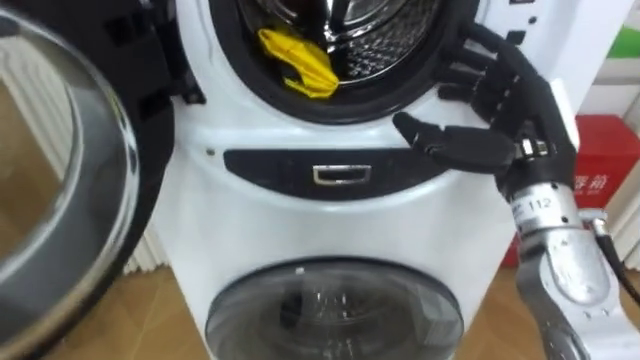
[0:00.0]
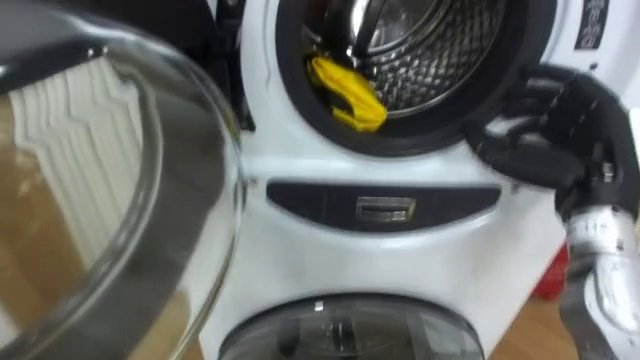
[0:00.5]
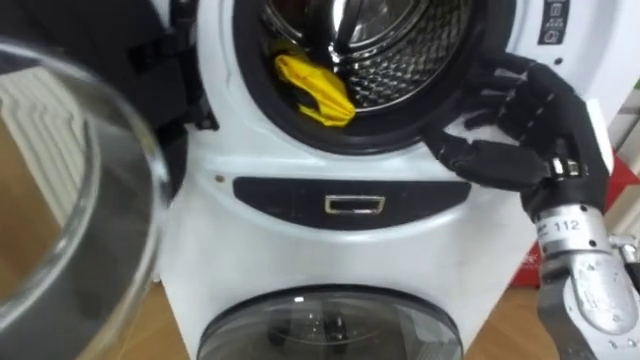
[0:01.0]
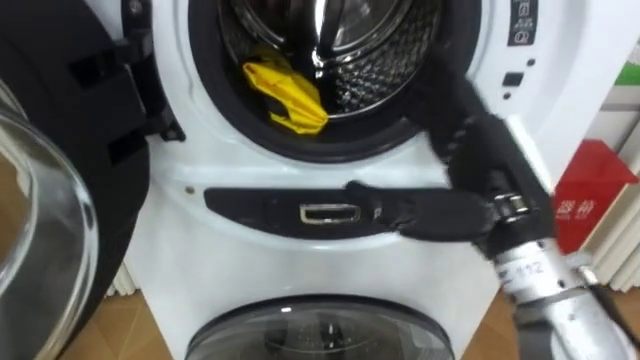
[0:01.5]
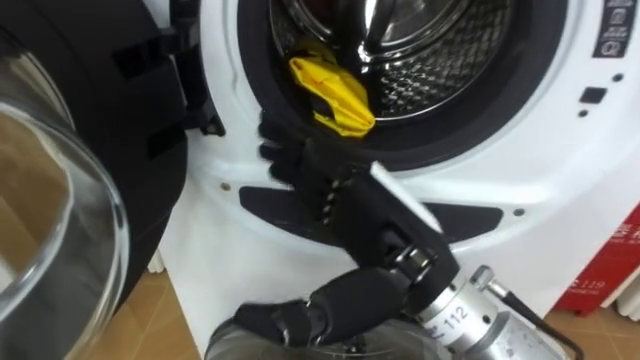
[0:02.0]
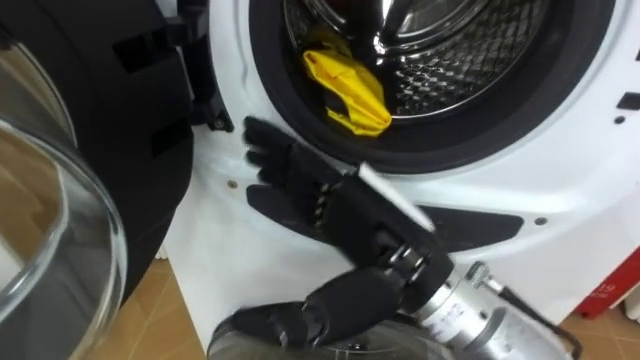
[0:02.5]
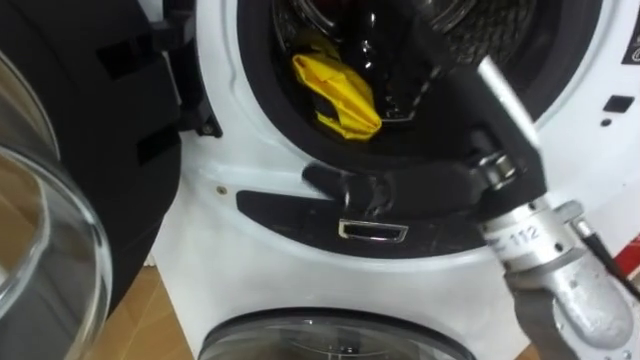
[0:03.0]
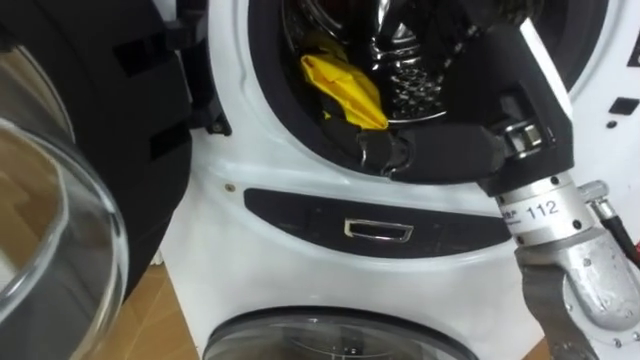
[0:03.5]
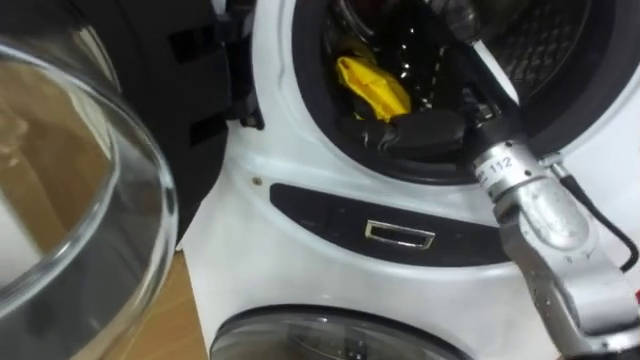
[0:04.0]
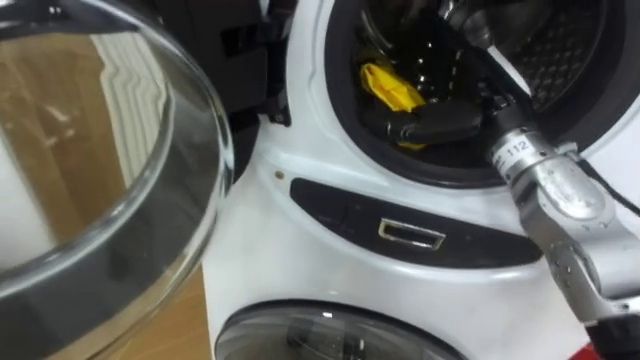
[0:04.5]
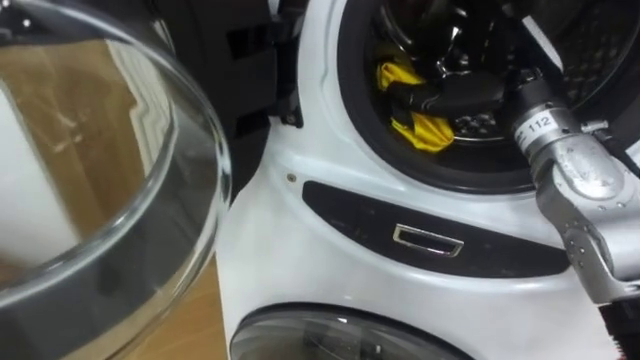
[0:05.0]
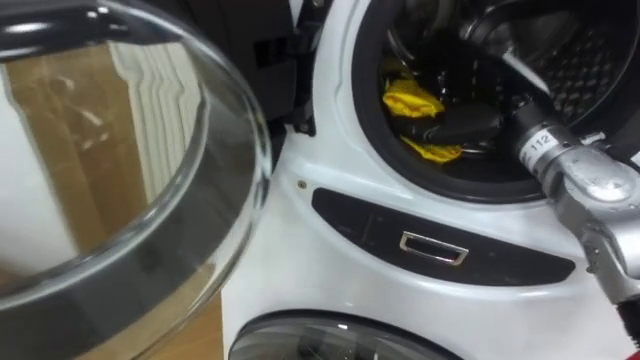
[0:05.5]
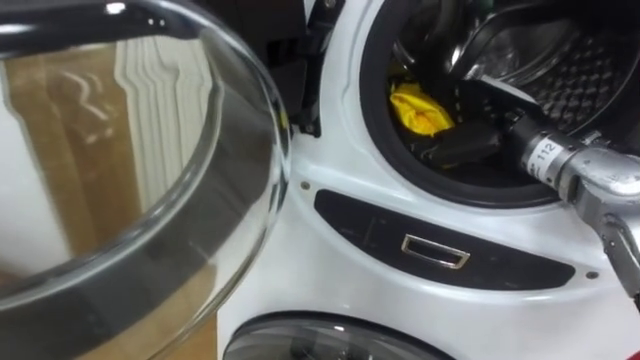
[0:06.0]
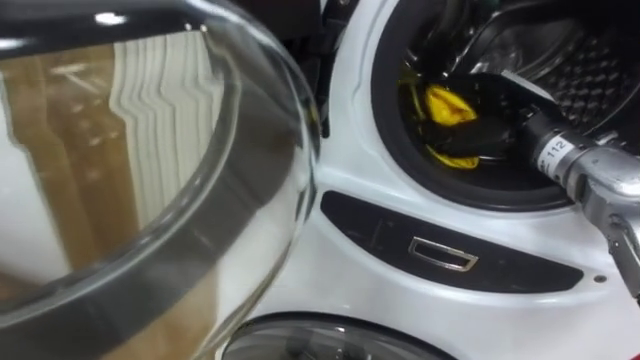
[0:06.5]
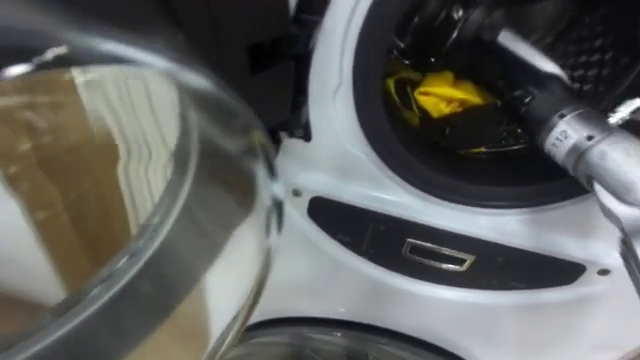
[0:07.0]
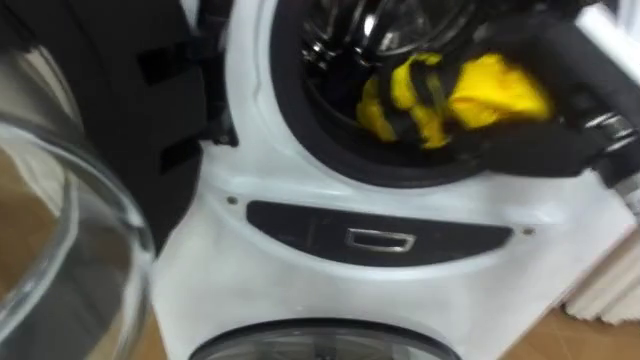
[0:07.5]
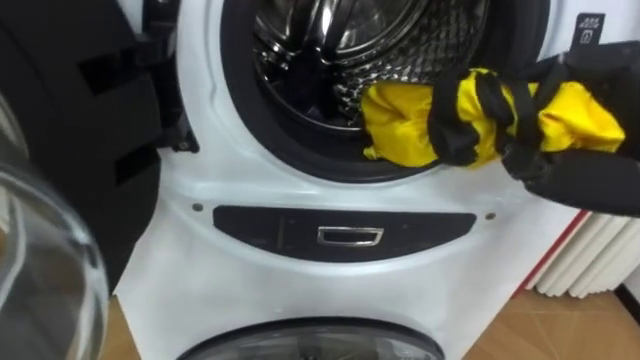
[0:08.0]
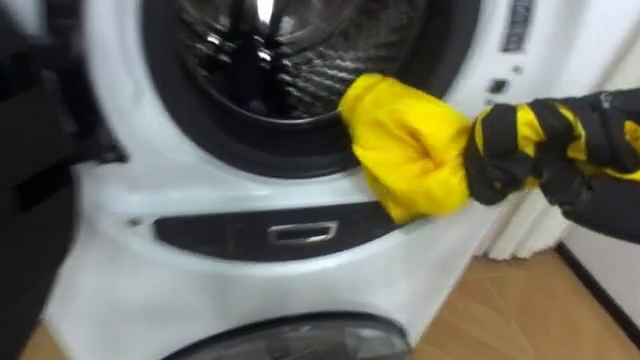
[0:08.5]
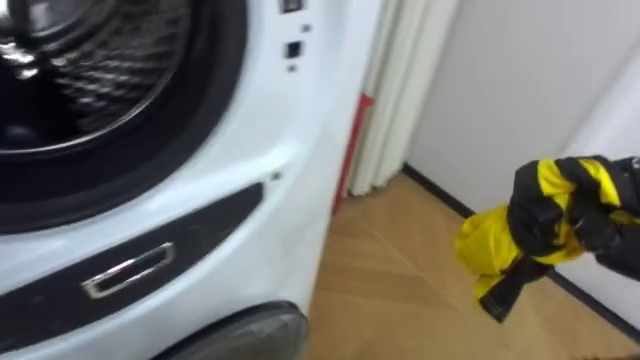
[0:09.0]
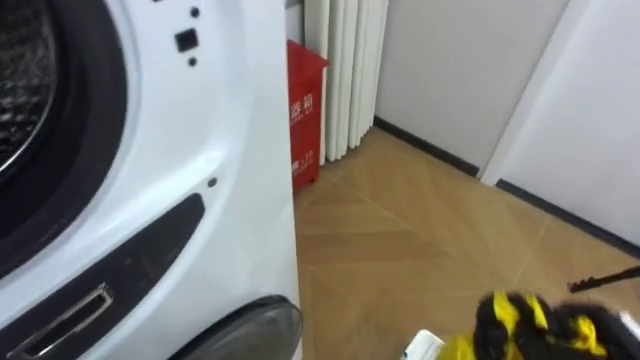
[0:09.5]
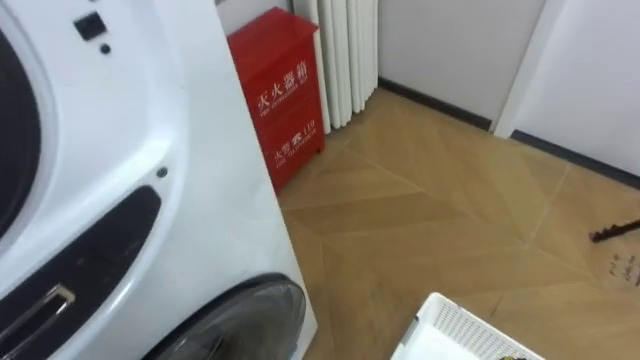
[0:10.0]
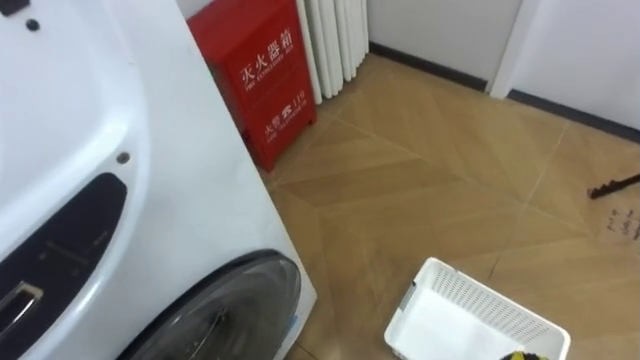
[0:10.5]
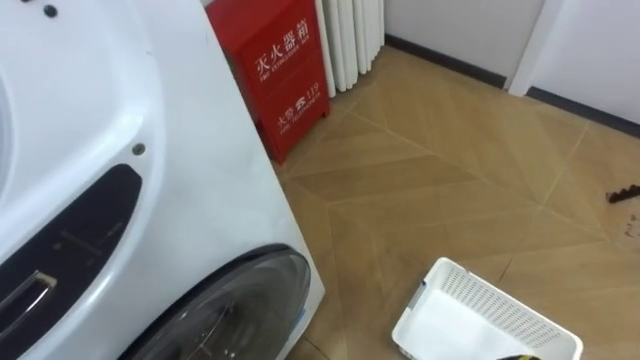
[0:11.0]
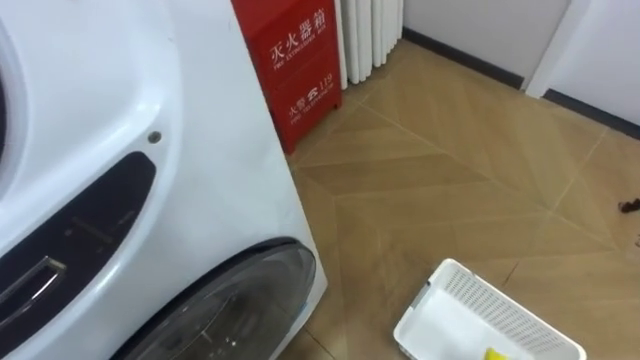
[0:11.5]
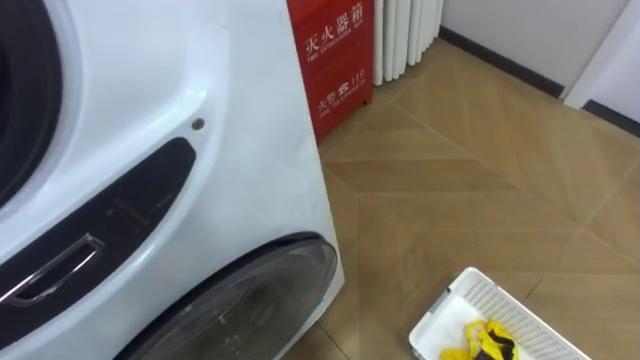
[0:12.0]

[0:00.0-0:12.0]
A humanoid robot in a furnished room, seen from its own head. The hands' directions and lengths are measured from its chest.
Task of the whole recording: Open the washing machine door, take out the yellow clothes, place them in the box on the right, and close the washing machine door.
0:00.0 to 0:02.0: The right hand travels to the left and backward by about 15 cm.
0:02.0 to 0:04.0: The right hand moves forward and to the right, approximately 15 cm.
0:04.0 to 0:06.0: The right hand moves downward, some 5 cm.
0:08.0 to 0:10.0: The robot rotates about 35 degrees to its right.

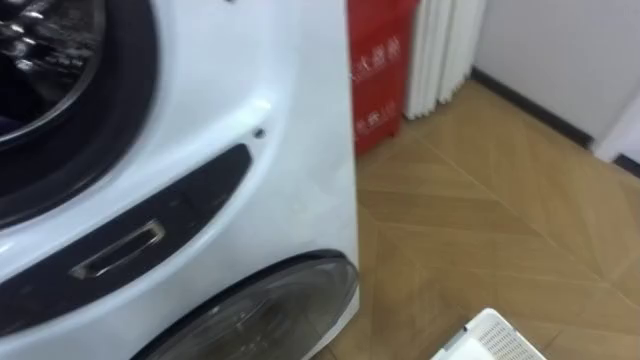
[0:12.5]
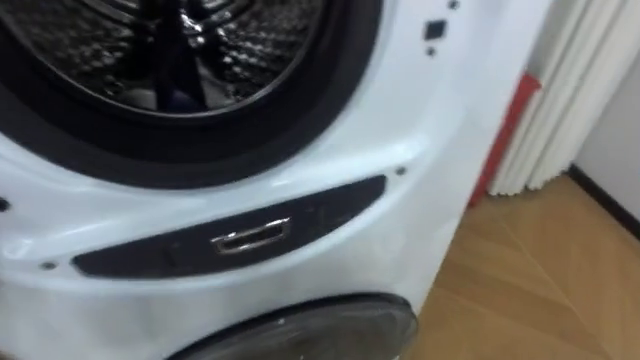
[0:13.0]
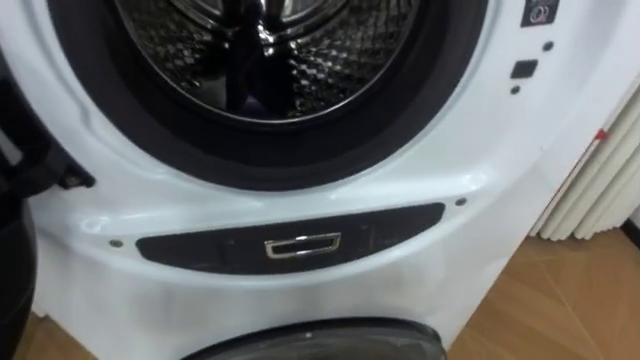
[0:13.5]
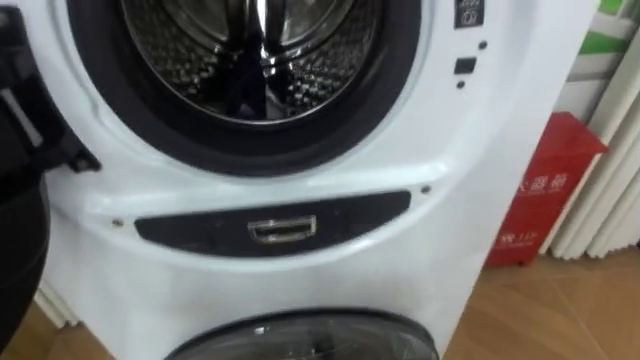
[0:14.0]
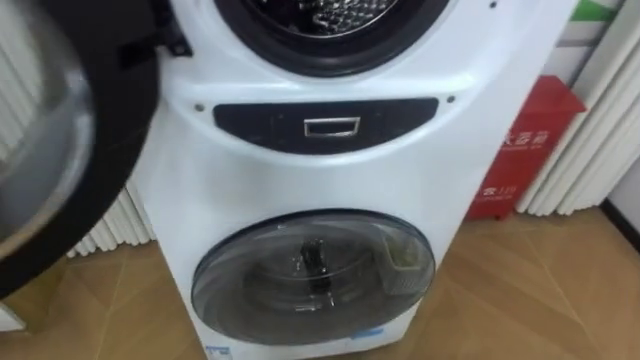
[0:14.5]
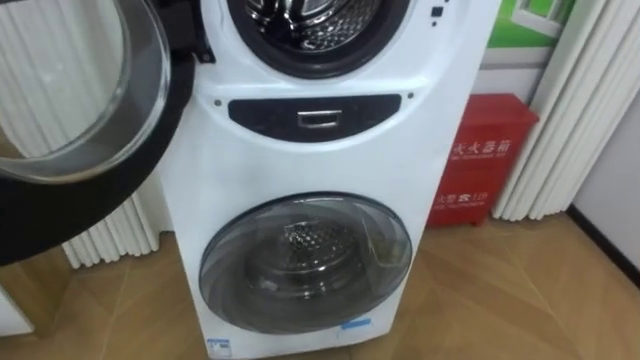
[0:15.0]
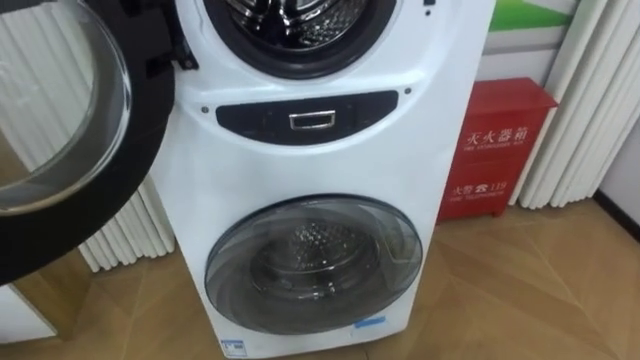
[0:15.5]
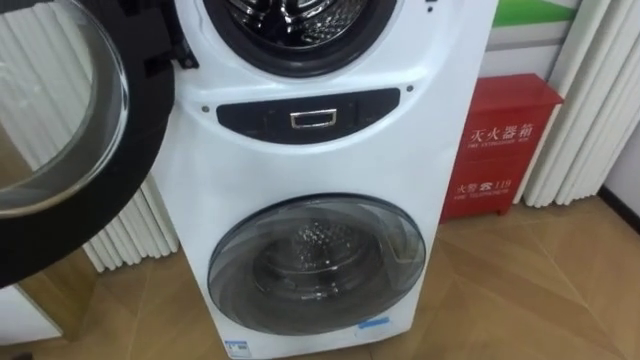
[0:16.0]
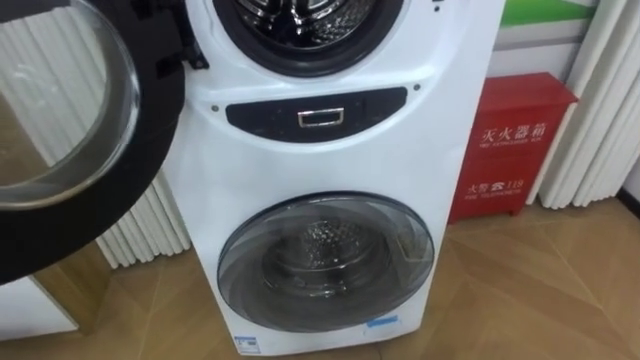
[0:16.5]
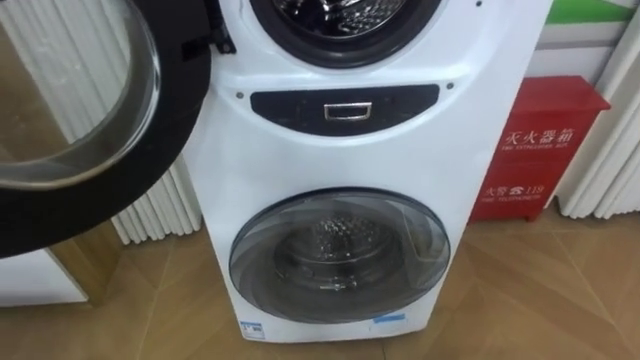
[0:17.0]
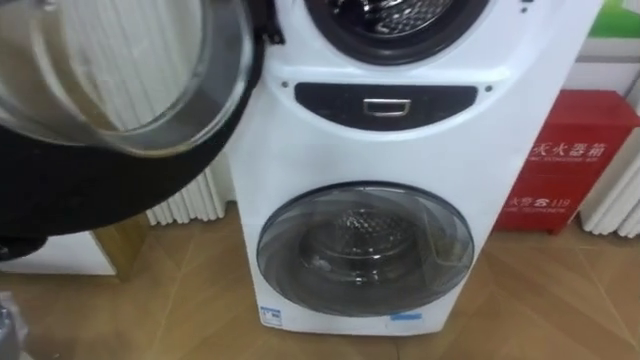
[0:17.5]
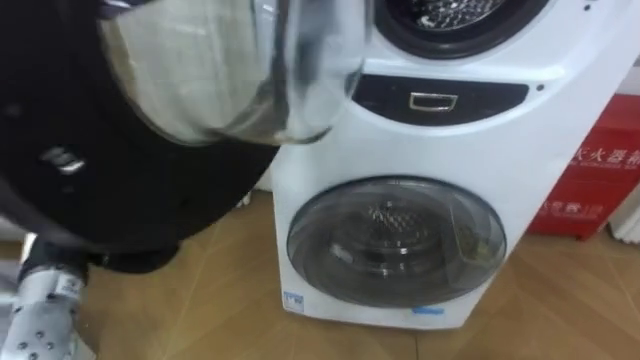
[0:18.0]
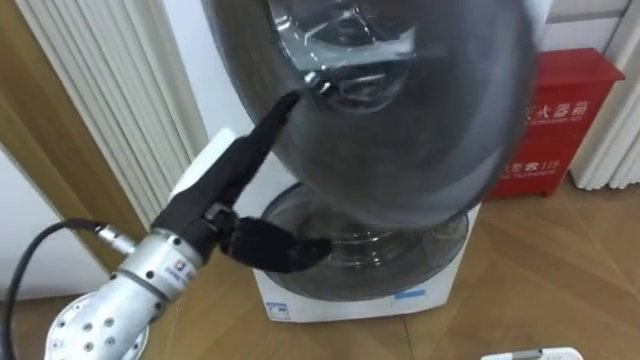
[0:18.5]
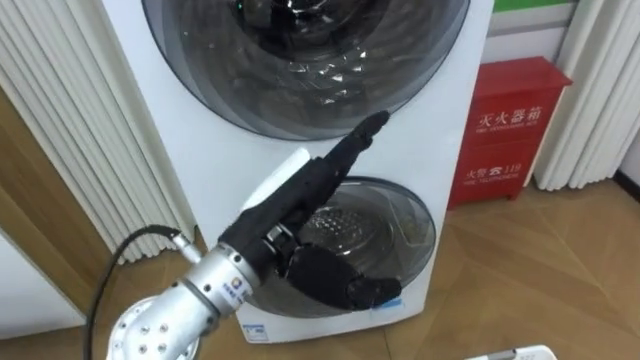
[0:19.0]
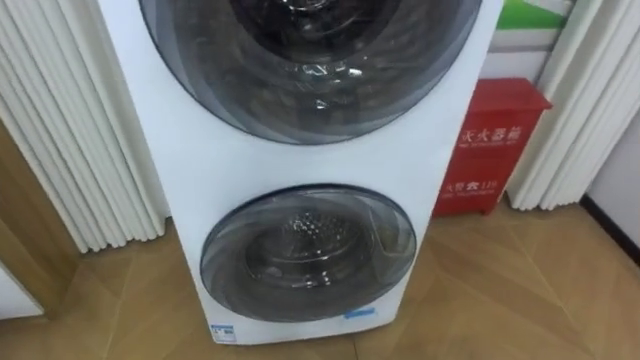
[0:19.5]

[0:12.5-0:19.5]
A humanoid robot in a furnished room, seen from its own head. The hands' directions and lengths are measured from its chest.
Task of the whole recording: Open the washing machine door, take out the yellow clothes, place them in the box on the right, and close the washing machine door.
0:12.5 to 0:14.5: The robot's body swings approximately 20 degrees to its left.

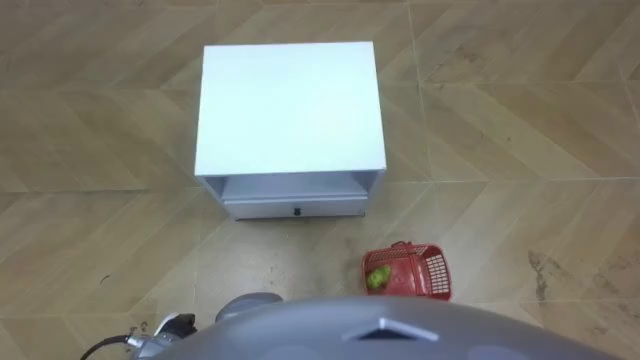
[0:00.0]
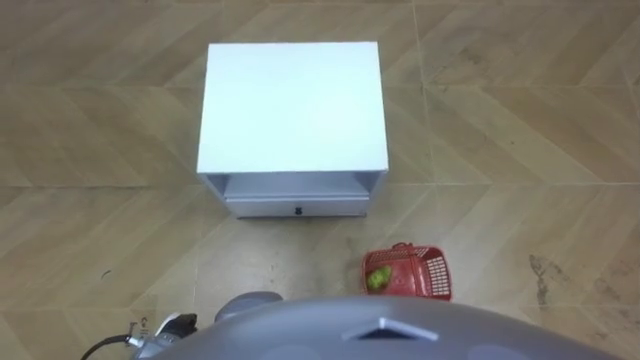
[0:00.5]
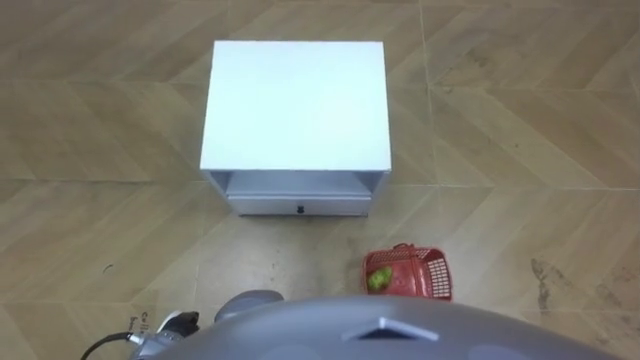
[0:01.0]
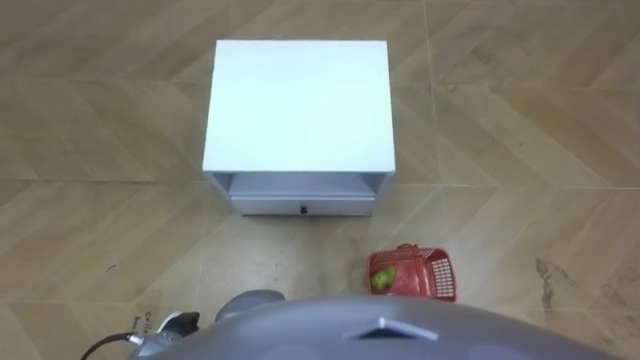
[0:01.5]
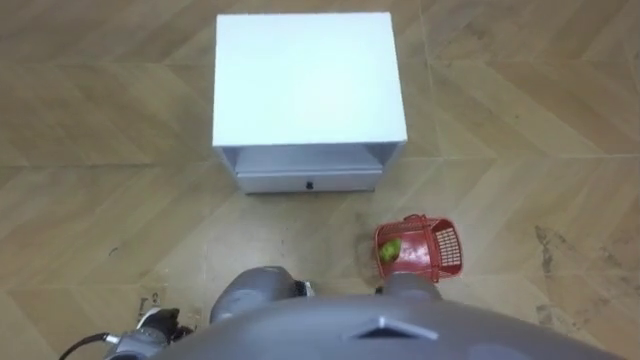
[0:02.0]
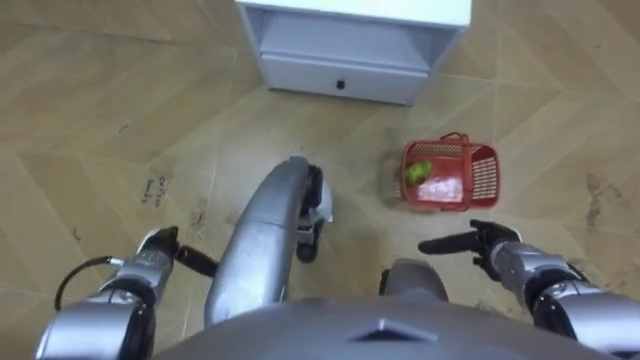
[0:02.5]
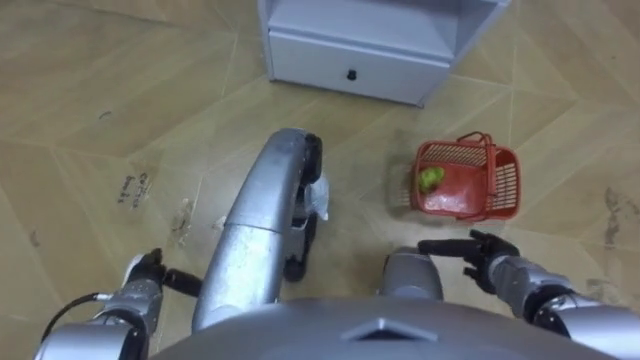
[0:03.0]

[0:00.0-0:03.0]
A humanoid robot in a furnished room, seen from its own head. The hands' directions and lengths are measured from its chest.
Task of the whole recording: Pick up the fruit basket from the floor and place it on the cabinet.
0:01.5 to 0:03.0: The right hand moves forward, about 15 cm; the left hand shifts roughly 10 cm forward.
